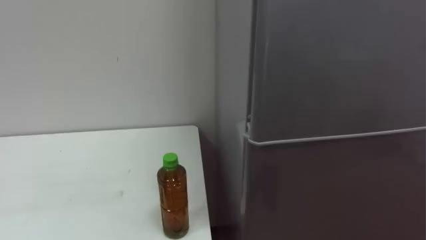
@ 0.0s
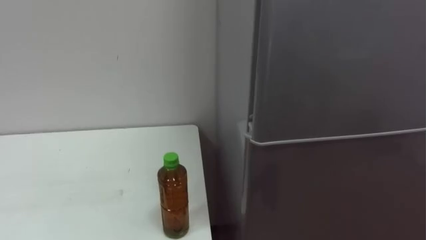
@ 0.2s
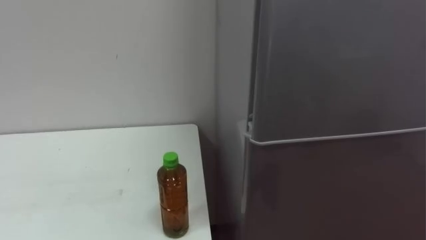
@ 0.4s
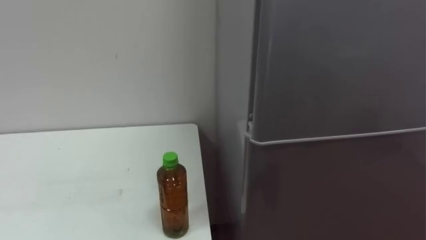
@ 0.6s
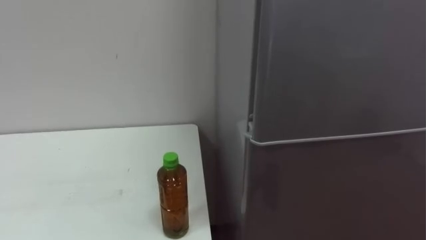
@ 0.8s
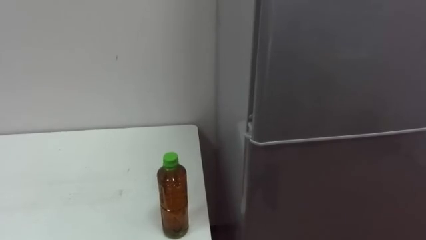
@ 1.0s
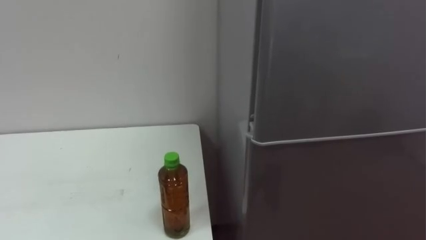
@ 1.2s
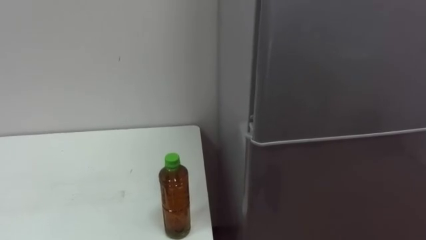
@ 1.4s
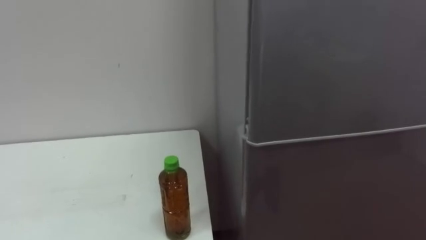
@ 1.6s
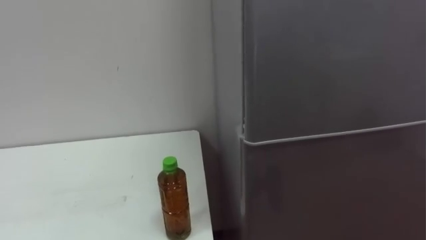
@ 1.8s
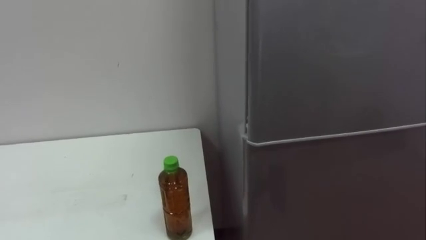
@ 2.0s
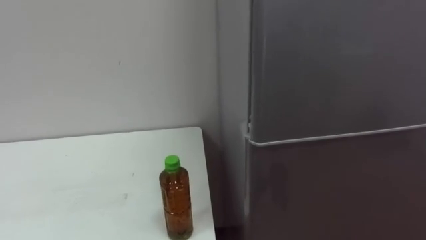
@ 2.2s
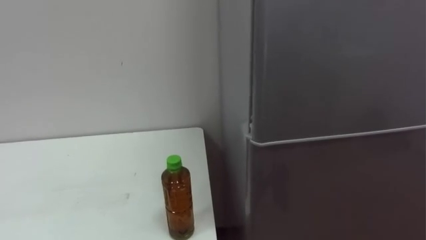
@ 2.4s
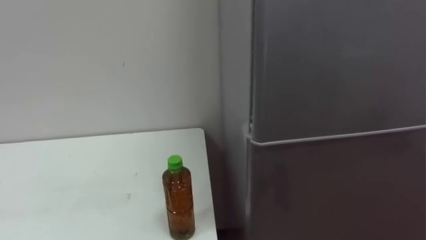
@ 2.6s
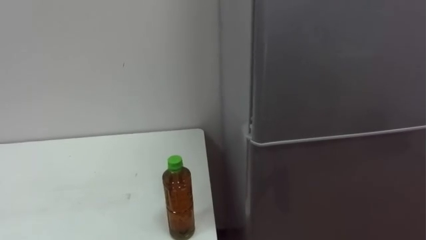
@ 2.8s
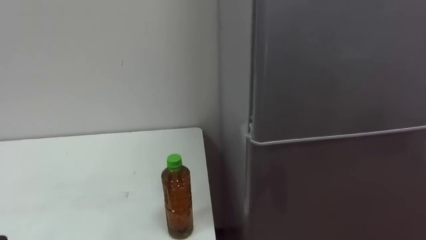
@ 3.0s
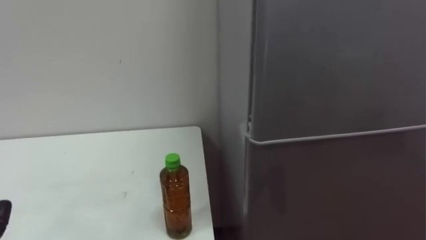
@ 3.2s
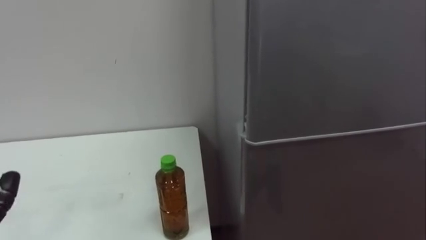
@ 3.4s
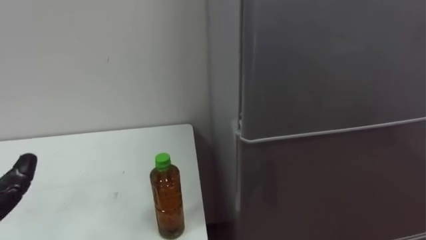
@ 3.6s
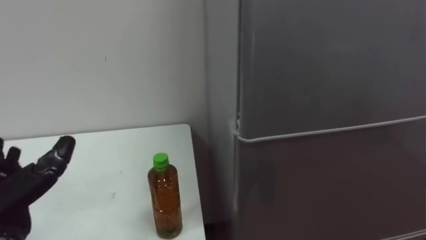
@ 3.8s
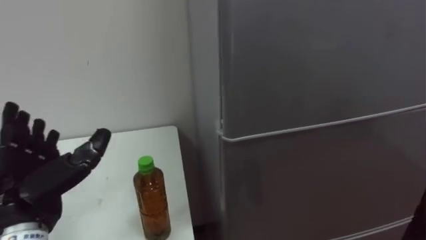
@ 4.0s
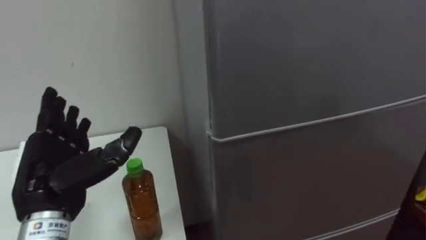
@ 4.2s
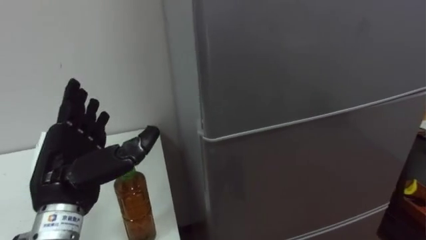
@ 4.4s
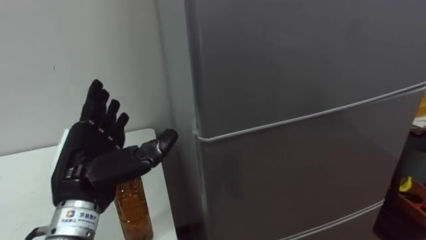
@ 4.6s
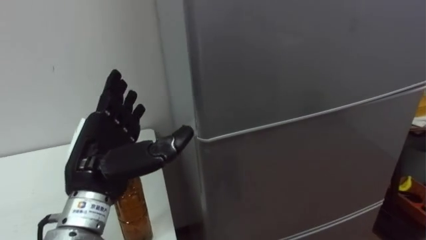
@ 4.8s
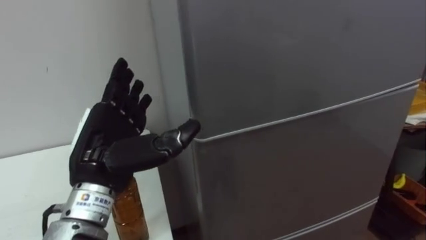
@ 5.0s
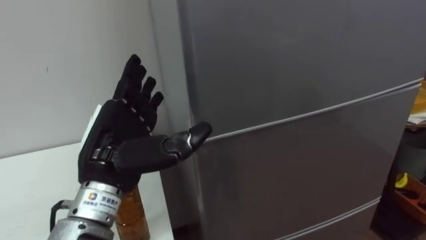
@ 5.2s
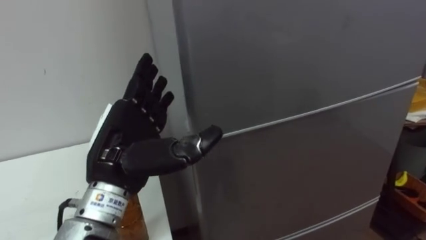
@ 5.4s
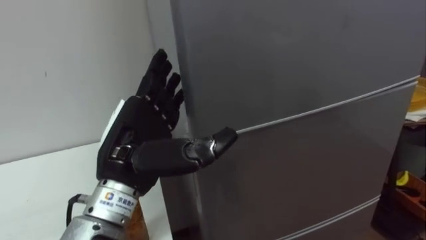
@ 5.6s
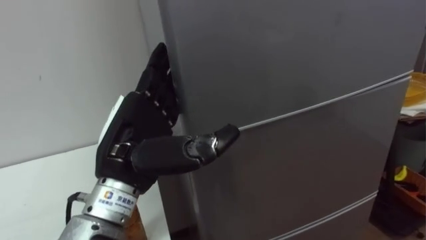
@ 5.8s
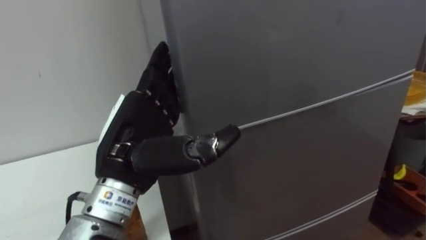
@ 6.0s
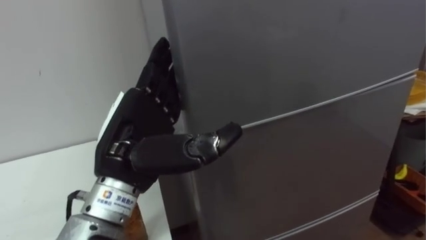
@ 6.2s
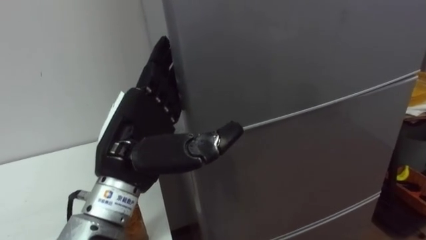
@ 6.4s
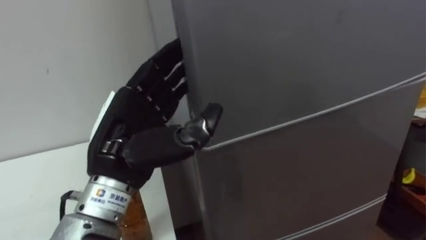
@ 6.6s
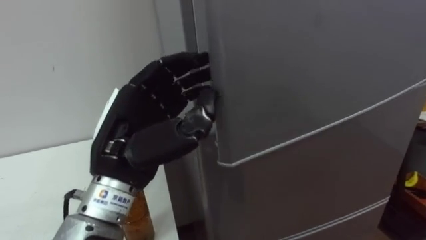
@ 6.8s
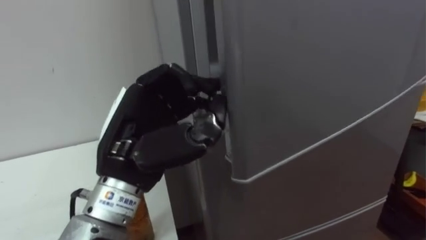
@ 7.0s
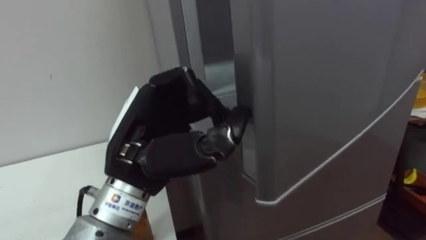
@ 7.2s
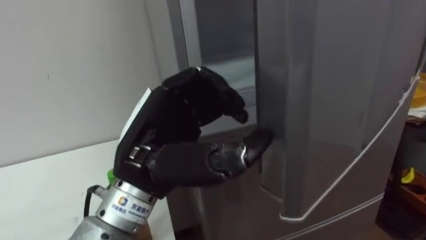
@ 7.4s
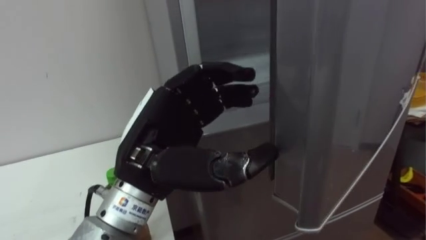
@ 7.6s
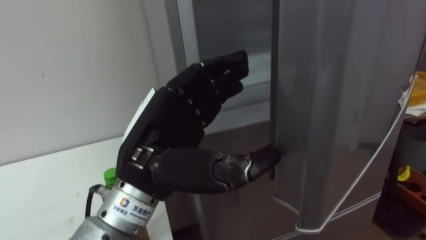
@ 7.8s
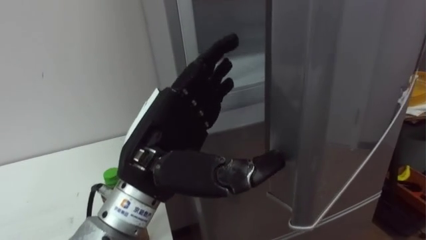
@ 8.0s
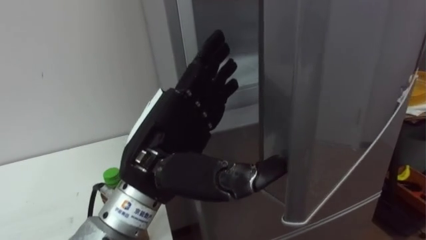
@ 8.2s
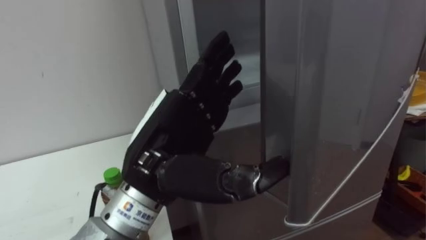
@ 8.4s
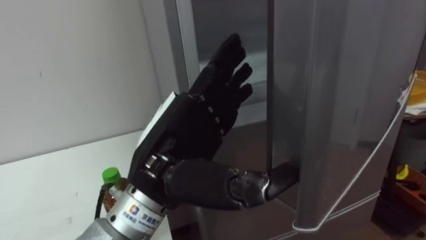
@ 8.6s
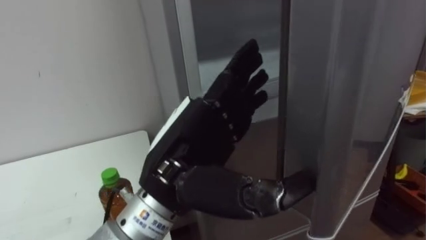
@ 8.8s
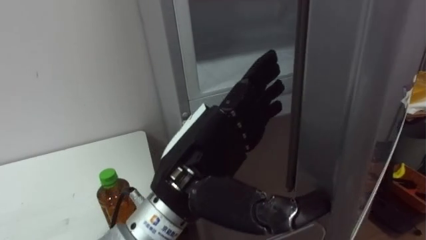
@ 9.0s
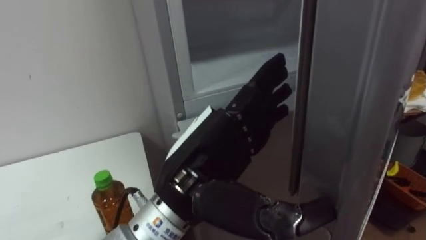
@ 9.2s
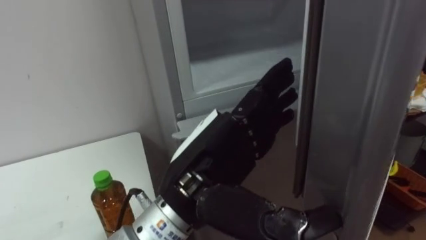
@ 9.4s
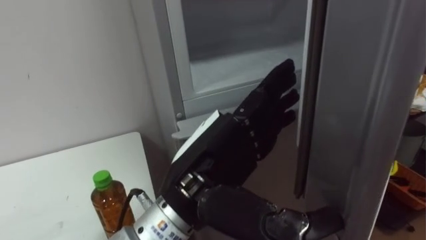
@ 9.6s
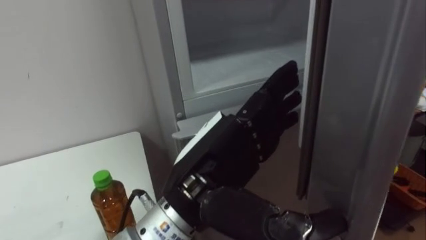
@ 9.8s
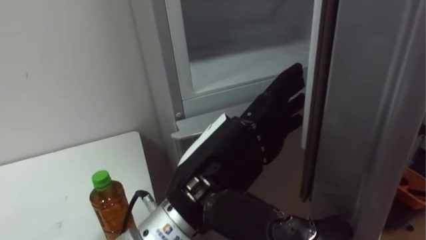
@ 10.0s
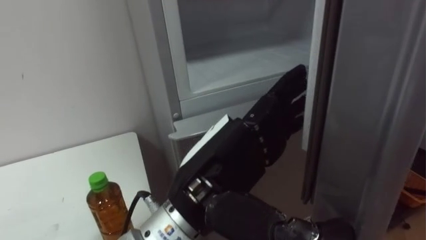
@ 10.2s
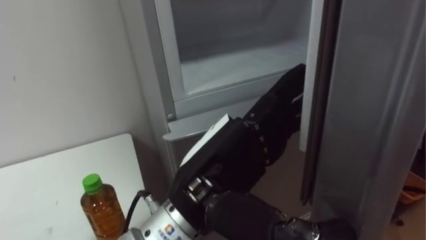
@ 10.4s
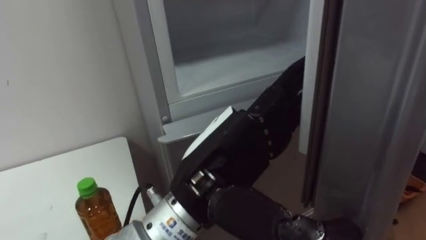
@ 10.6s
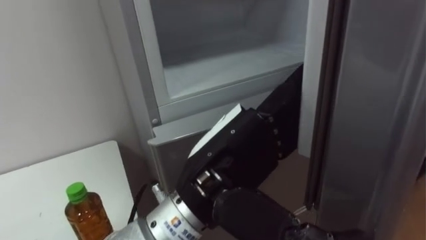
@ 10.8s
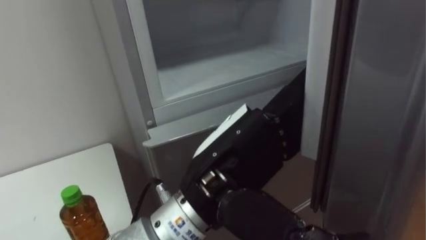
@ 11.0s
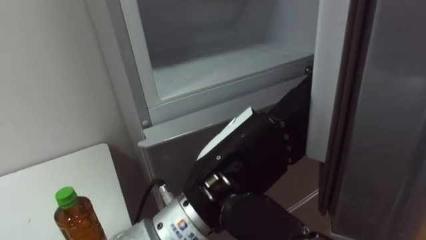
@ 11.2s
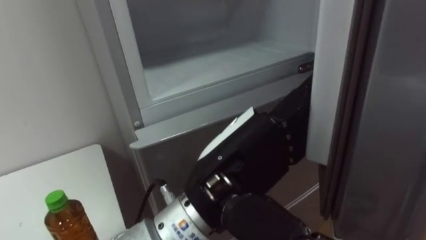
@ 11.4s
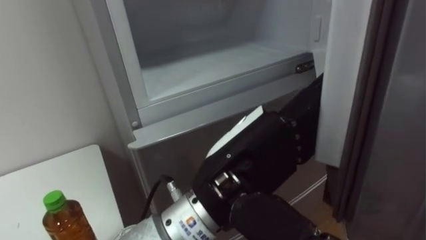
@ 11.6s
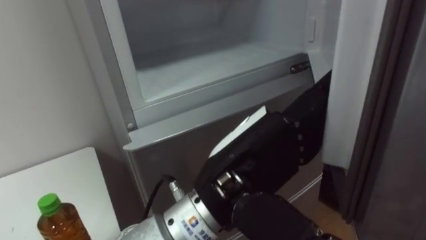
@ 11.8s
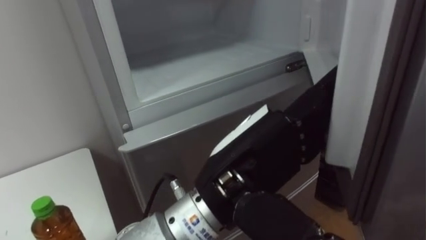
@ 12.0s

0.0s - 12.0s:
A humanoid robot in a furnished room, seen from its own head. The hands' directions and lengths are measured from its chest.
Task of the whole recording: Open the upper refrigerator door, put the drink from the table into the refrigerator, and then close the refrigerator door.
4.4s - 6.0s: The left hand moves to the right, about 10 cm.
6.0s - 7.6s: The left hand closes its fingers.
7.6s - 9.0s: The left hand ends up about 5 cm from where it was, and opens up.

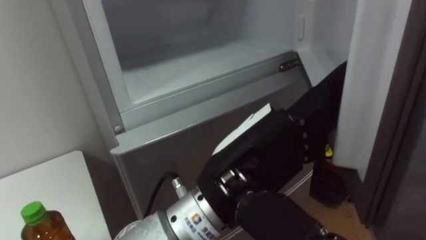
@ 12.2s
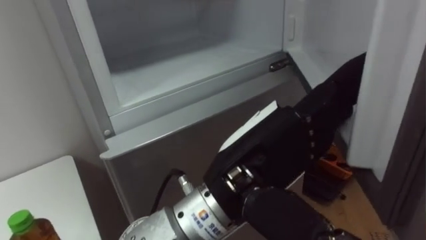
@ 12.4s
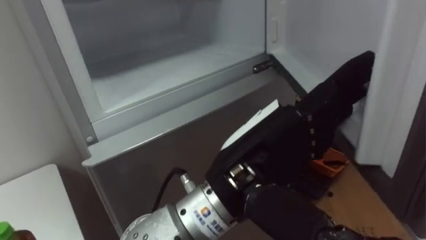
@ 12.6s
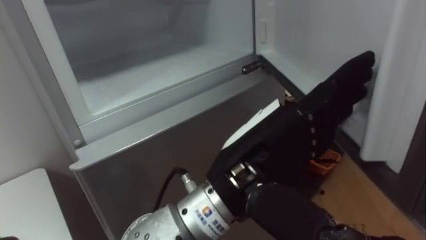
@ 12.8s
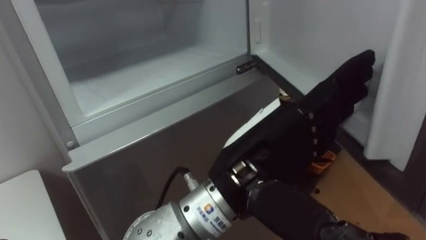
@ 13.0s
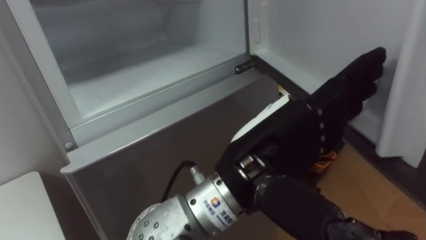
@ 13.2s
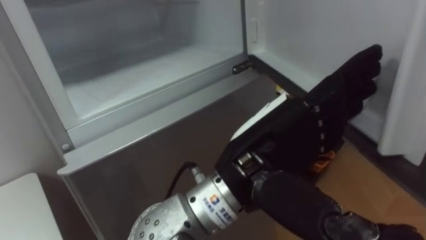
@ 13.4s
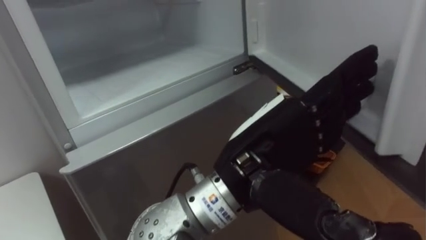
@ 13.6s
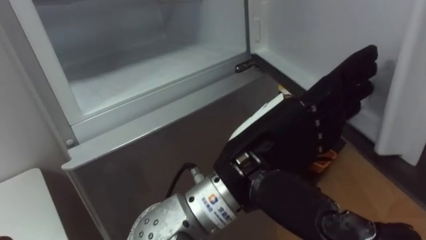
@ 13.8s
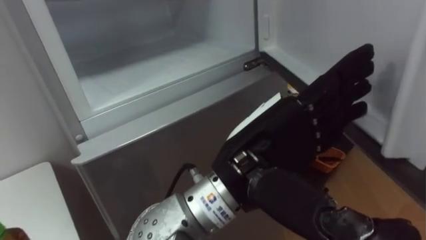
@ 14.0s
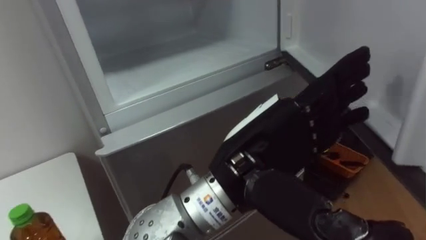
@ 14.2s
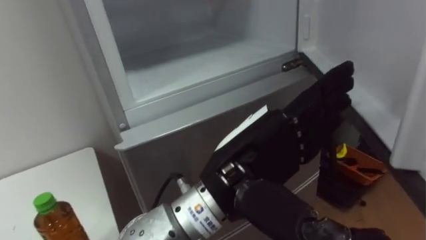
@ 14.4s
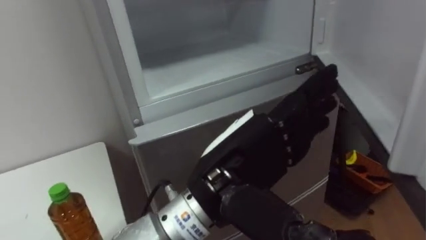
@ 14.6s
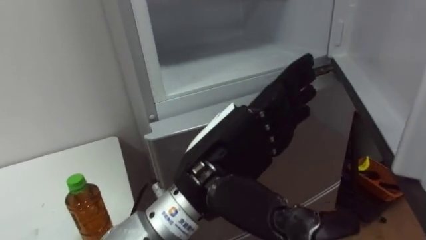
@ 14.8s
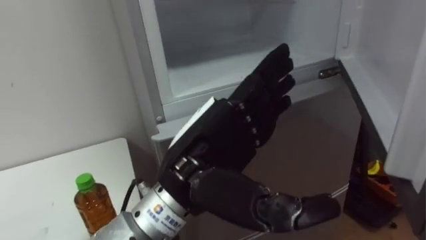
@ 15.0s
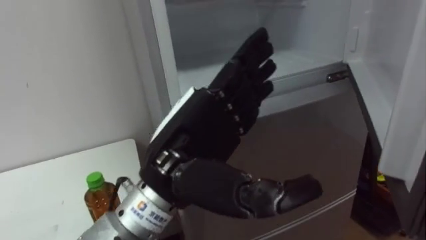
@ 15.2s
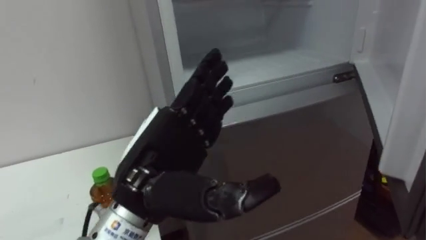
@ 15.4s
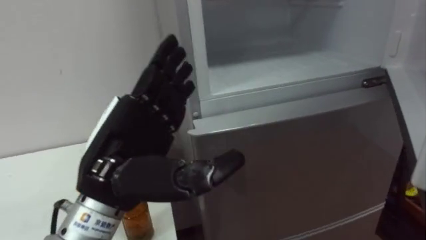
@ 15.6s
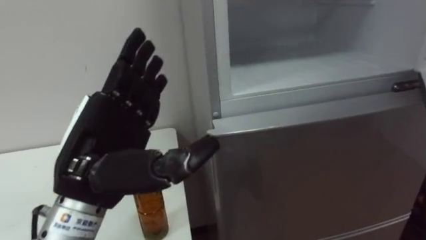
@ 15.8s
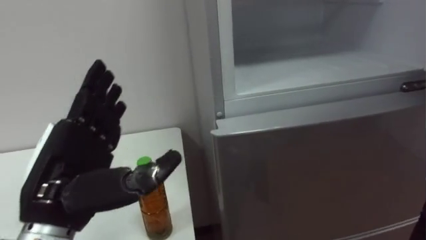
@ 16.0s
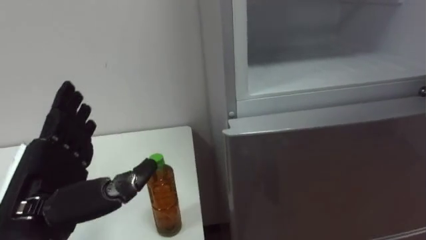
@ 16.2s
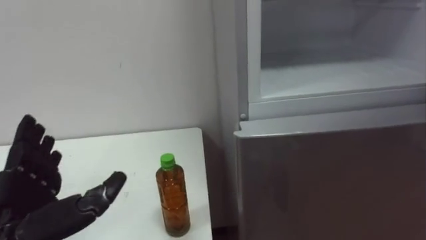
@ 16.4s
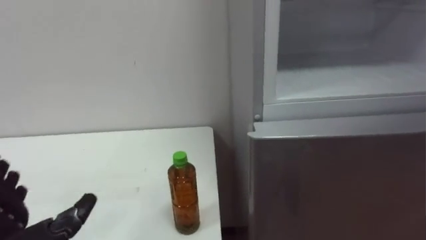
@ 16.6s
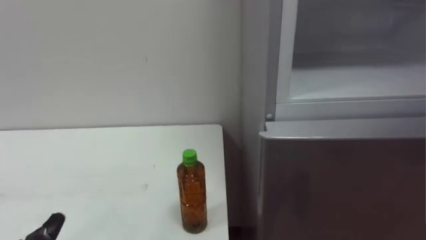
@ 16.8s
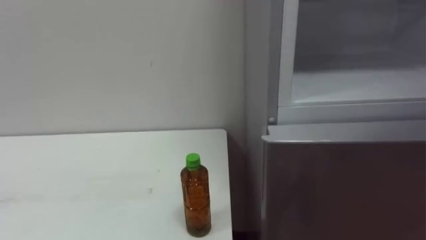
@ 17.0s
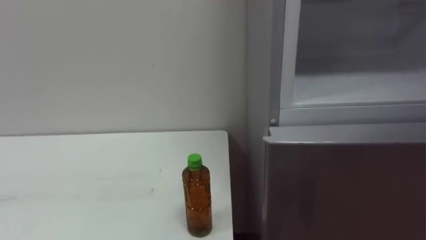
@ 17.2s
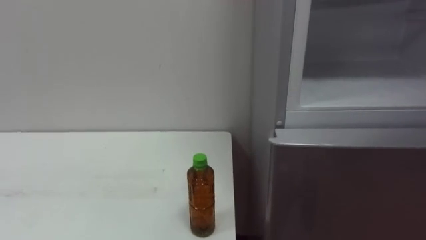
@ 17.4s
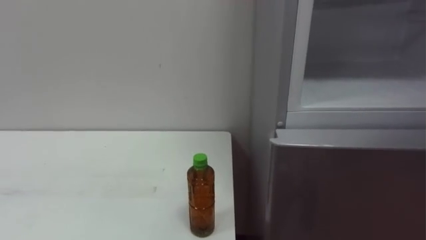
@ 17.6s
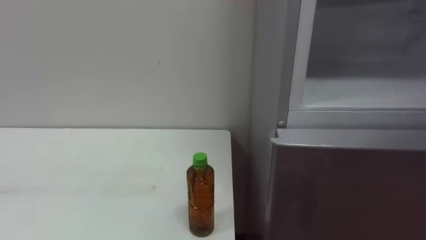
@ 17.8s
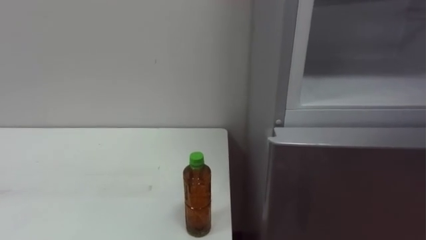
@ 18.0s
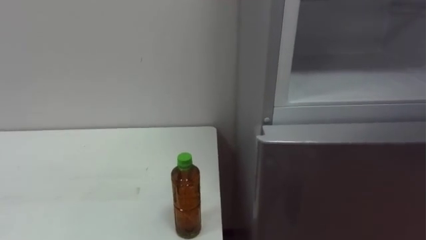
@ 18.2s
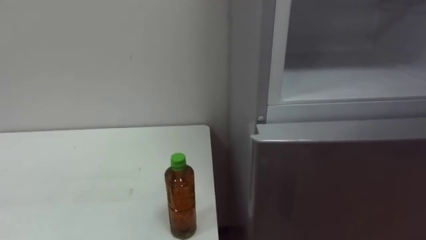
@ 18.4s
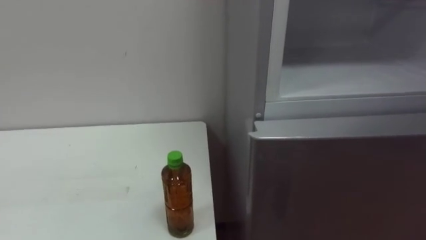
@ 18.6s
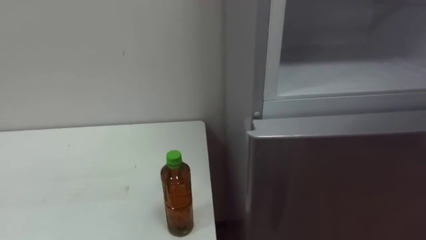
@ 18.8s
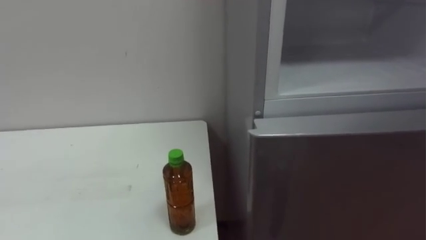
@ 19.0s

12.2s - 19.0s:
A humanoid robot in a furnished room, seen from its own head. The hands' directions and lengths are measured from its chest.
Task of the whole recording: Open the upper refrigerator door, put the drink from the table into the refrigerator, and then close the refrigerator door.
13.6s - 15.0s: The left hand goes some 5 cm to the left.
15.0s - 16.2s: The left hand is displaced to the left by some 20 cm.
